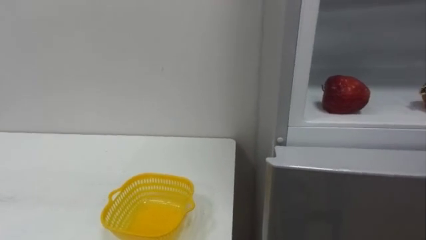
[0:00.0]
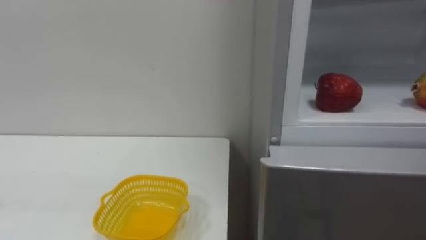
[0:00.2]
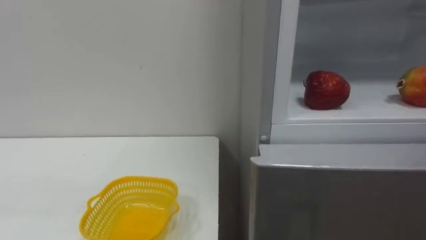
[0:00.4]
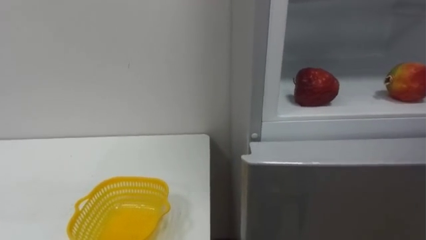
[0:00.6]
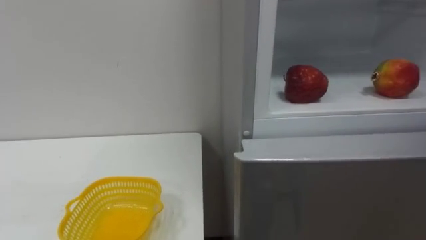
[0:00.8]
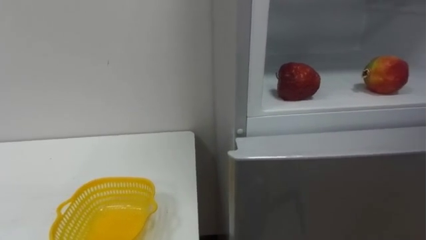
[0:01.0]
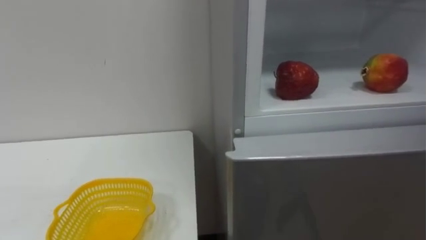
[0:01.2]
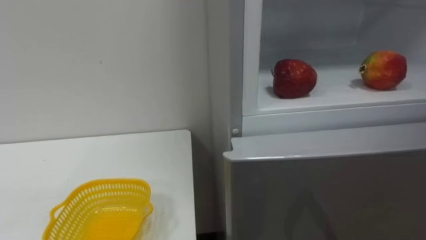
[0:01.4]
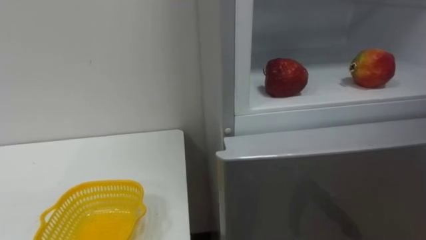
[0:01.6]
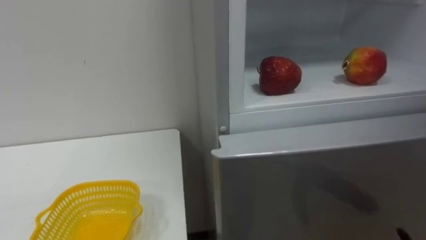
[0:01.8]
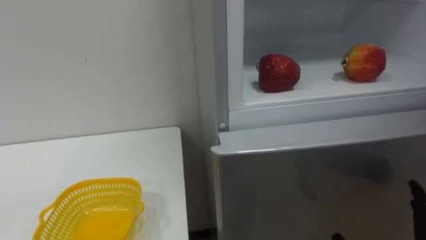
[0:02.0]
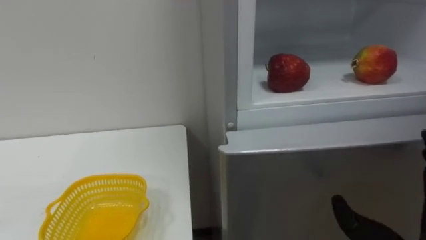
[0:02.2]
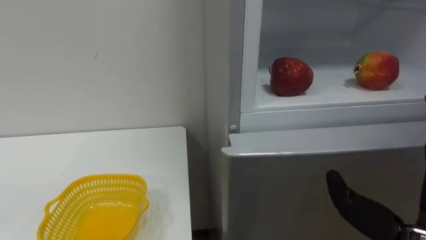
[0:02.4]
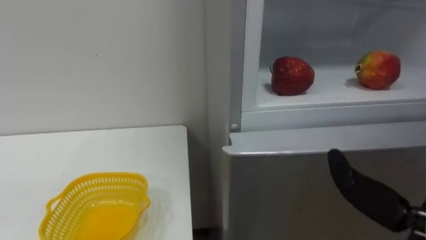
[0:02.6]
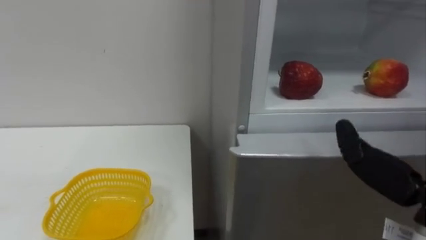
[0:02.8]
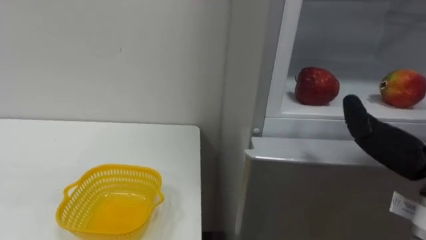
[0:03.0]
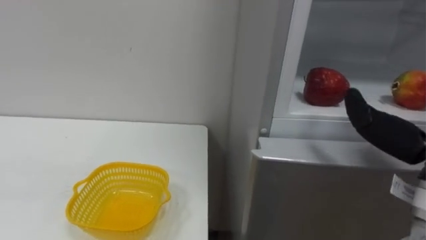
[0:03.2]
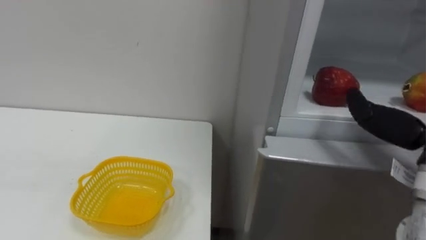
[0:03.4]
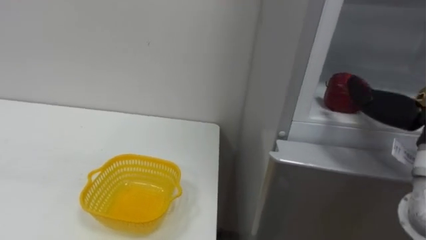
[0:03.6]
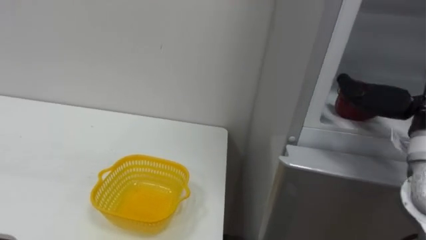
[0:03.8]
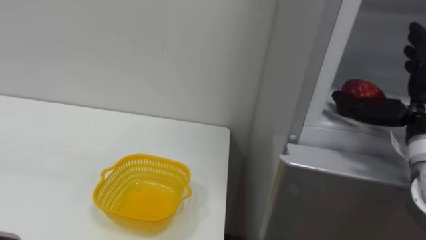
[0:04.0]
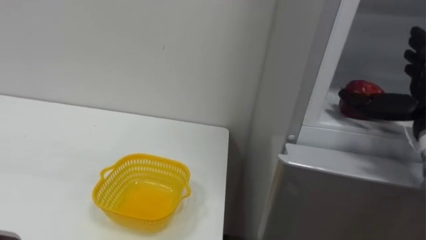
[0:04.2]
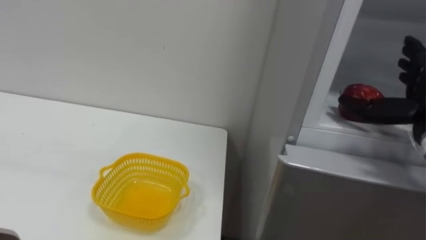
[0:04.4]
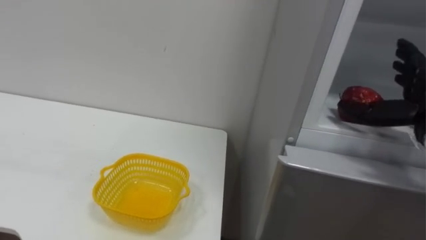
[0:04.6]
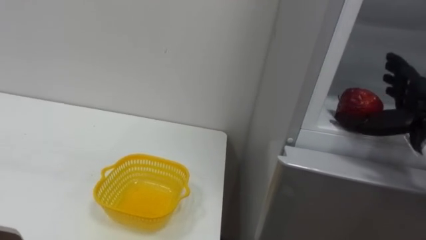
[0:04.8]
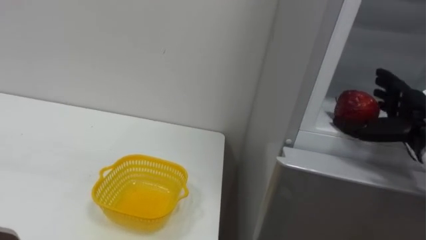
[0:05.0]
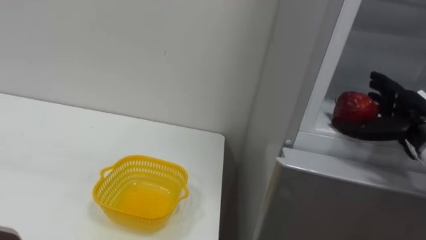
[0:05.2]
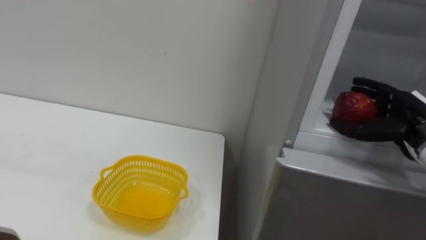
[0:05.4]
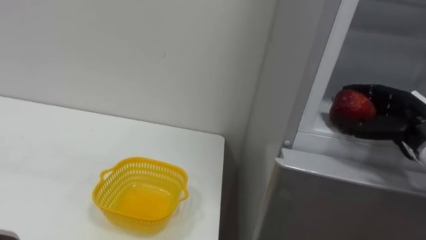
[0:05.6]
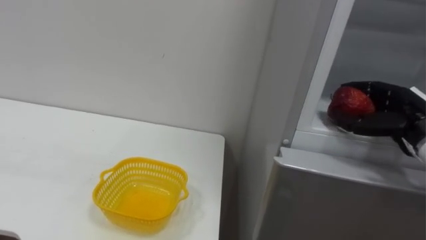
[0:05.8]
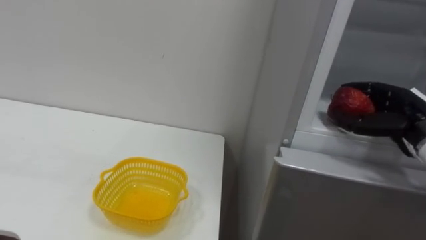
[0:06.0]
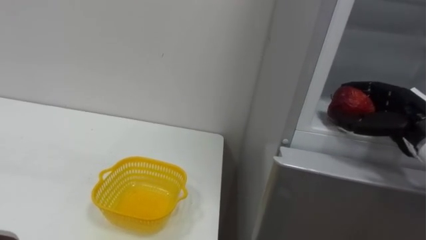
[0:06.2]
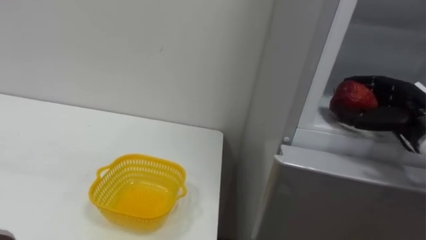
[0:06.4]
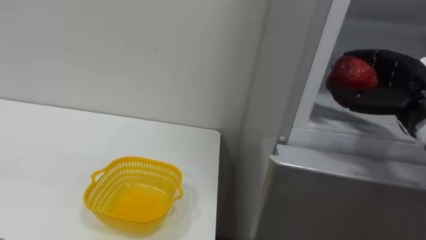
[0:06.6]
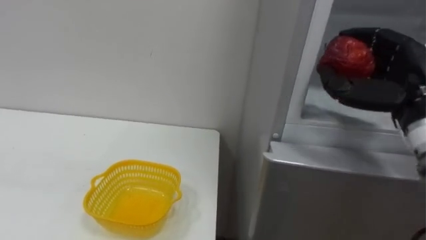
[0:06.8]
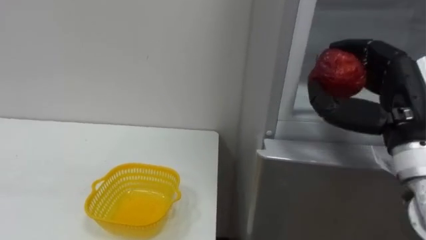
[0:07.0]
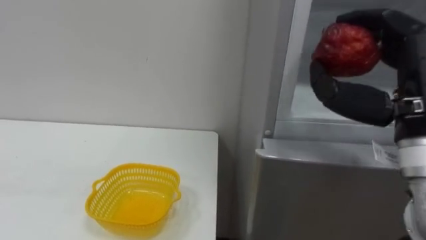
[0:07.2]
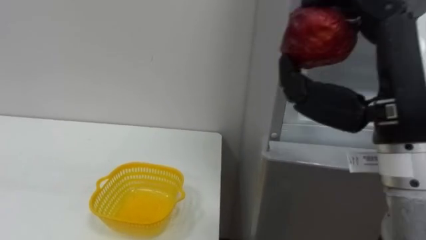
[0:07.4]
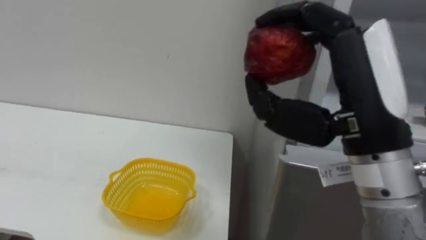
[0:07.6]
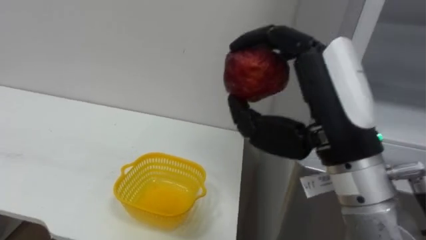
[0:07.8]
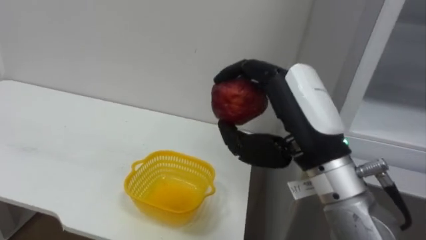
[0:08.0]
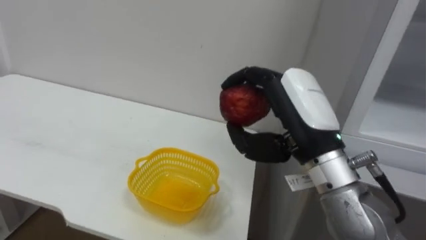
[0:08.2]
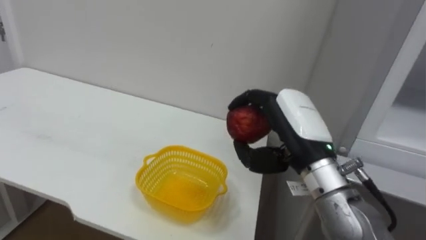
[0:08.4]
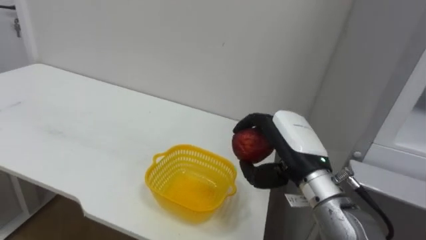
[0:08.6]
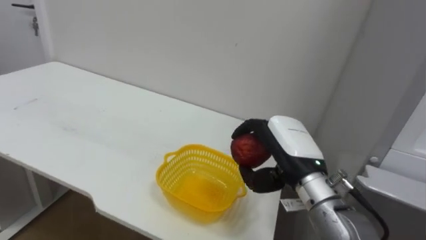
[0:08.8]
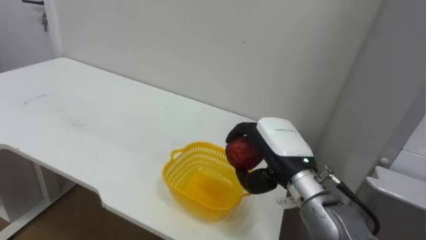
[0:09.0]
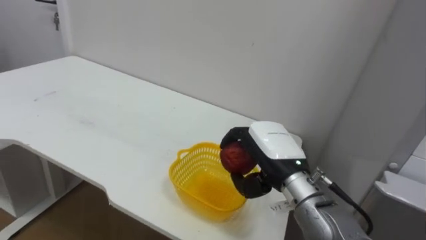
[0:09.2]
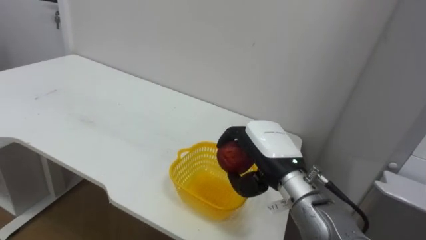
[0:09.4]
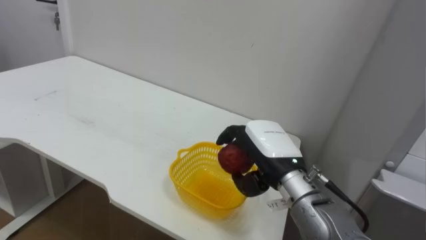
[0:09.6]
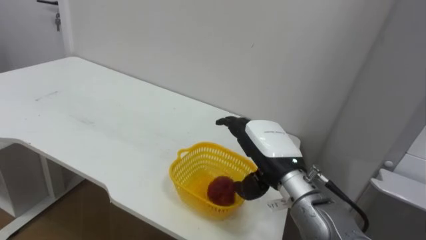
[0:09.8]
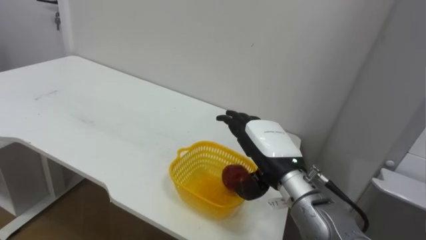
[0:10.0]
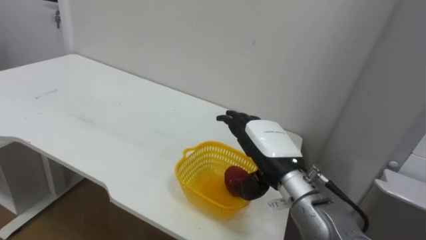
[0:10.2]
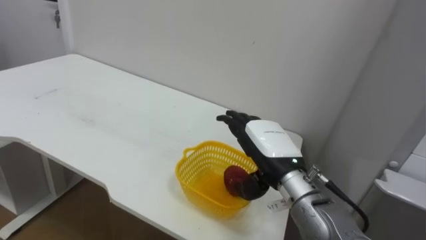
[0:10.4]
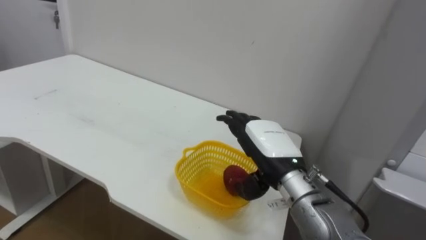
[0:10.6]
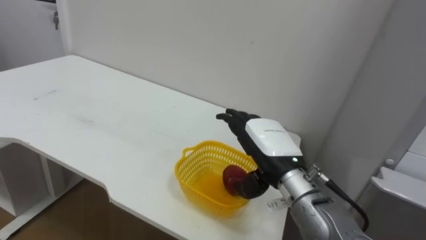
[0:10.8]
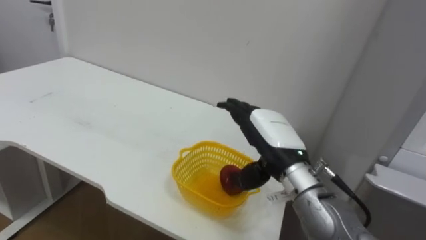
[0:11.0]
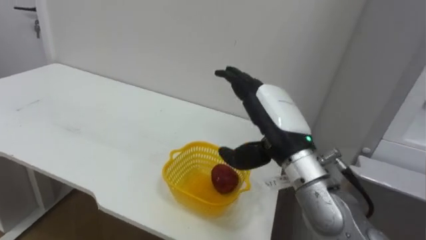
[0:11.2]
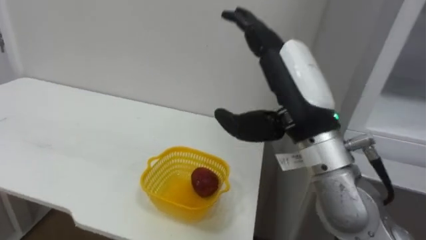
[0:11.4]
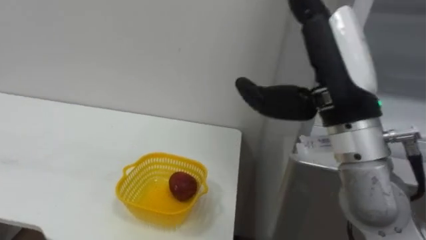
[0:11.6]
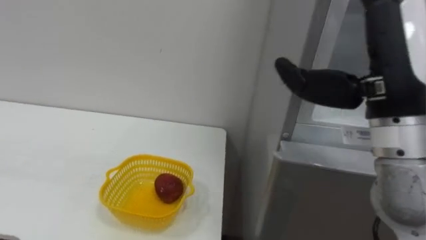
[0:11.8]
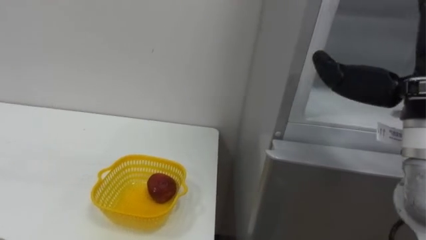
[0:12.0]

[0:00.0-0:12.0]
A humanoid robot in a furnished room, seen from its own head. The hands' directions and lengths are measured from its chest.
Task of the whole recording: Open the refrigerator door, take out the apple and the pomegranate, place them in the fruit basket on the left, and close the refrigerator door.
0:04.4 to 0:06.0: The right hand closes its fingers.
0:06.0 to 0:07.6: The right hand shifts about 25 cm to the left, backward and upward.
0:07.6 to 0:09.0: The right hand is displaced downward and forward by approximately 20 cm.
0:09.0 to 0:10.4: The right hand opens.
0:10.4 to 0:12.0: The right hand heads upward, to the right and backward, covering approximately 25 cm.

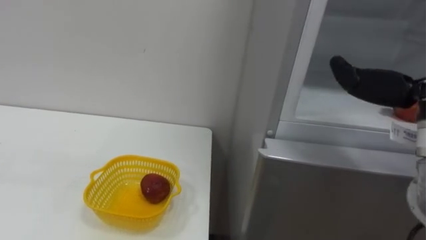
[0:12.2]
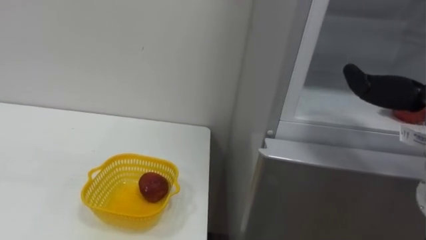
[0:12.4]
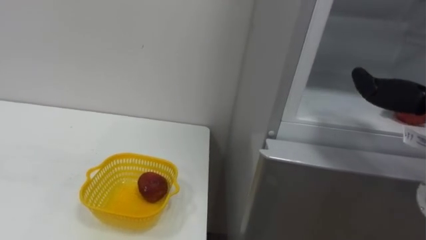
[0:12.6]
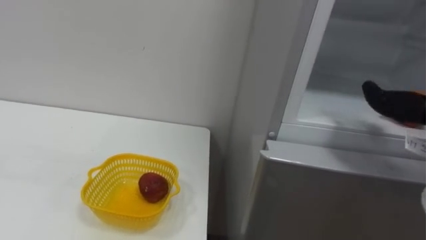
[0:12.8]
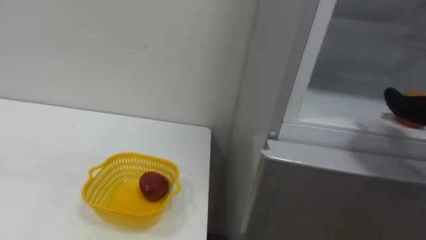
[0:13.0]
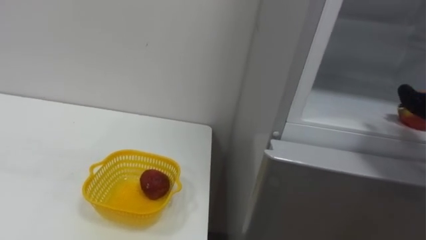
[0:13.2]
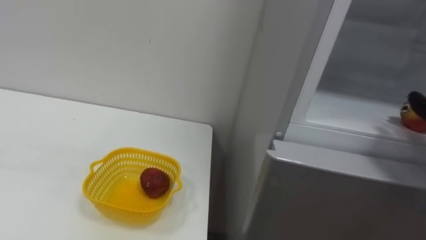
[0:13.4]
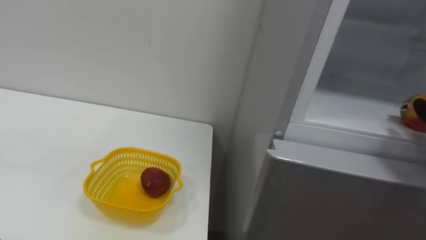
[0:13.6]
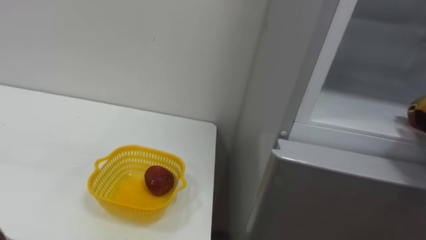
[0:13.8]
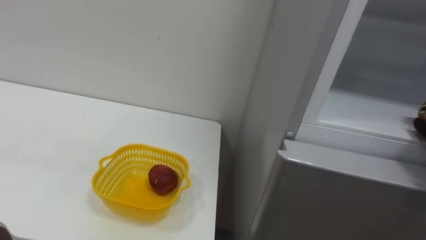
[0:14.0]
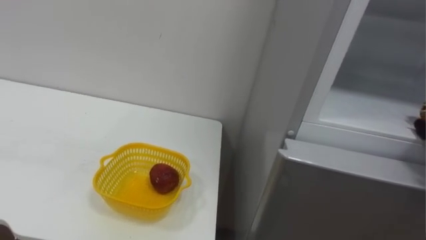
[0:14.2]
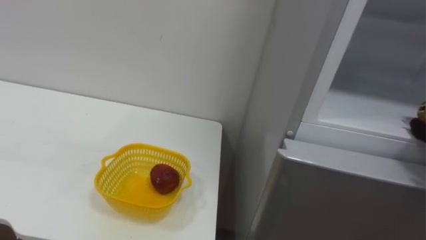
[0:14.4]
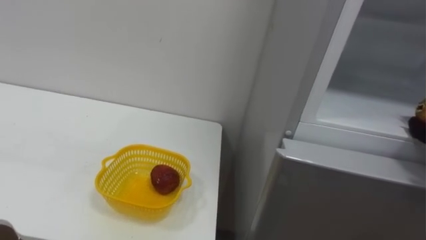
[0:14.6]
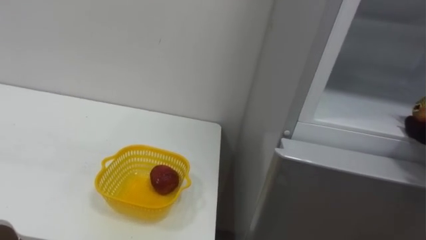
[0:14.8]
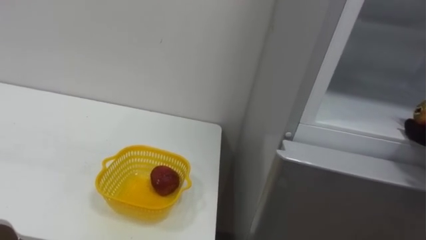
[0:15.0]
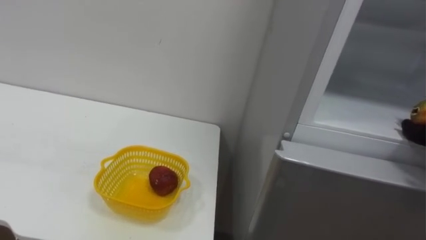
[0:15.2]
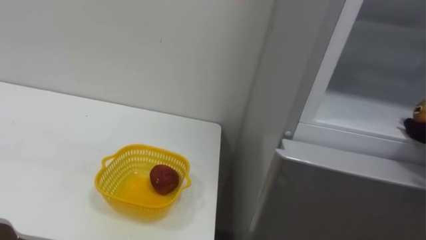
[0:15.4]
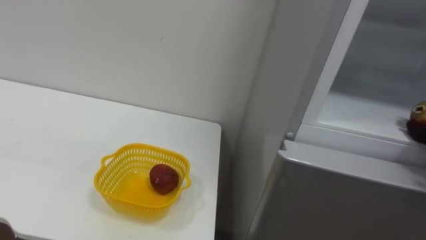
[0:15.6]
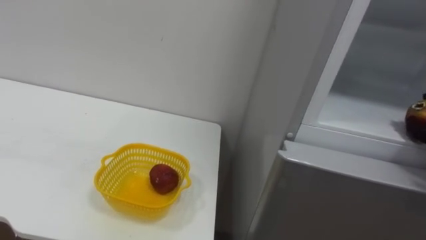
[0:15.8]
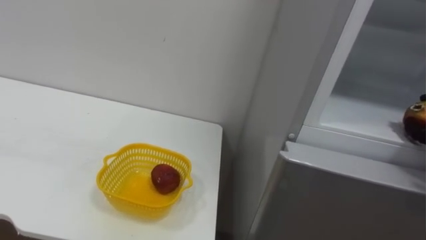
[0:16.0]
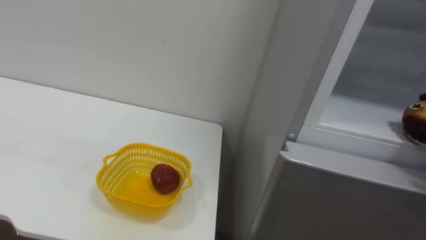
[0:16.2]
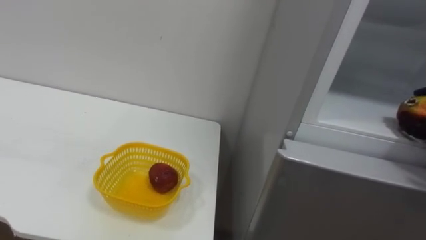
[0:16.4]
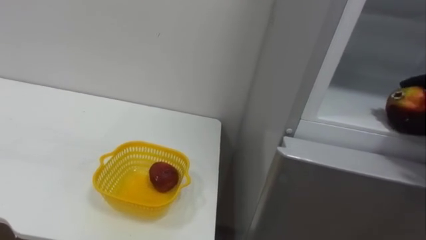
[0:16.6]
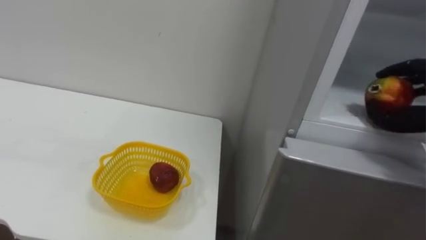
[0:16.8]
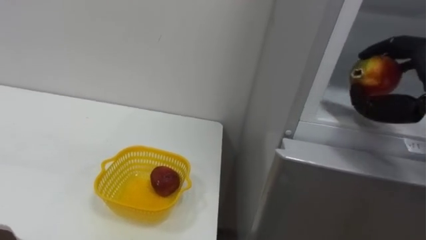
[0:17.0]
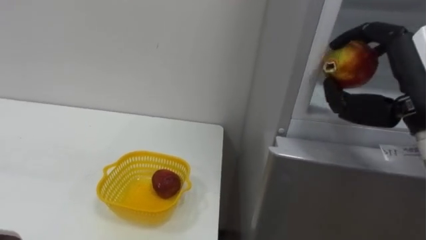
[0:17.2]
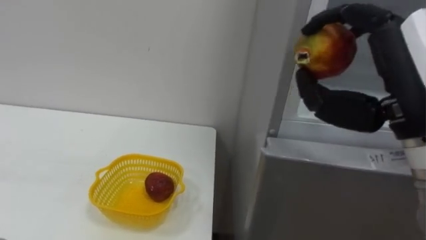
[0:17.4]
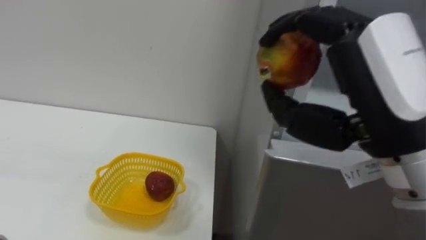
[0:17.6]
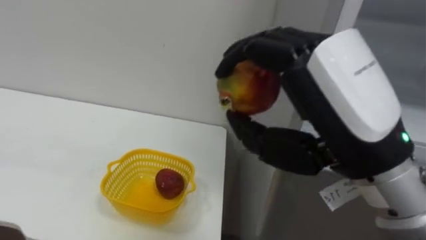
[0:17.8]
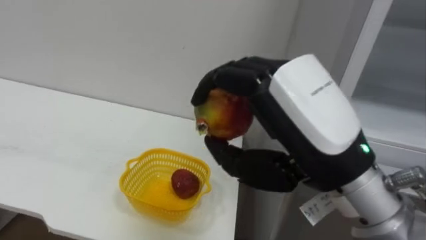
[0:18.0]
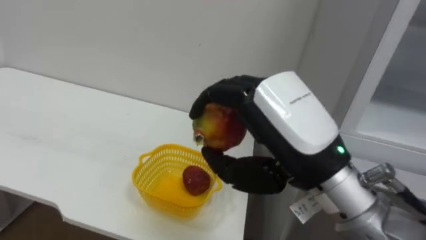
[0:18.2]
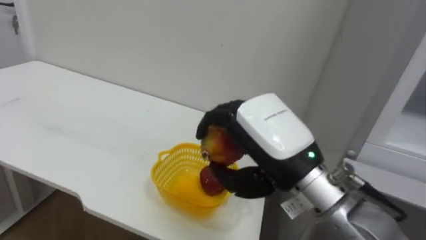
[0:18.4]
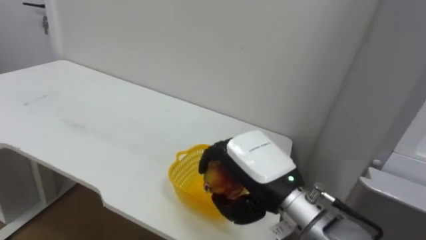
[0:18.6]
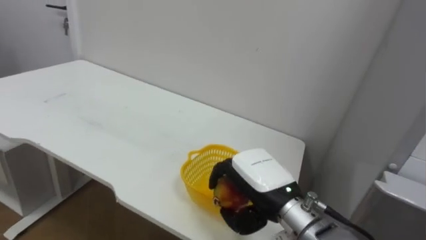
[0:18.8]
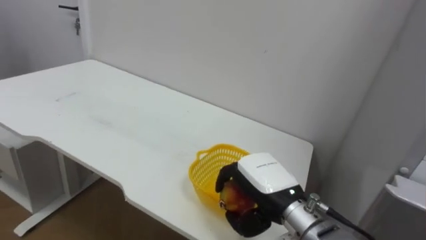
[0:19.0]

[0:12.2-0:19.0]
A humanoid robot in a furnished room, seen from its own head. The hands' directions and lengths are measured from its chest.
Task of the whole recording: Open the refrigerator door, take out the apple and the pomegranate, place them in the fruit basket on the left, and close the refrigerator door.
0:17.6 to 0:19.0: The right hand heads downward and forward, covering about 25 cm.
